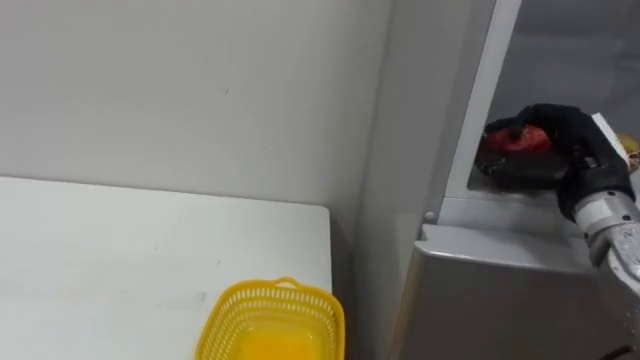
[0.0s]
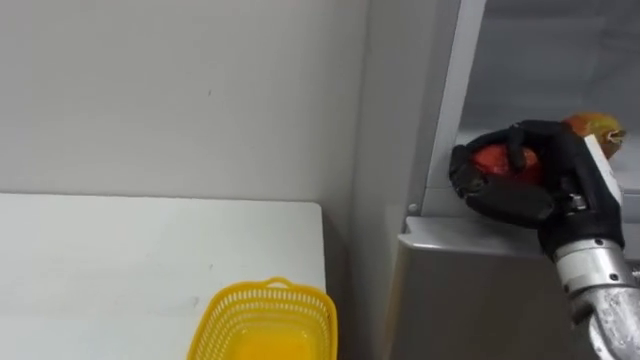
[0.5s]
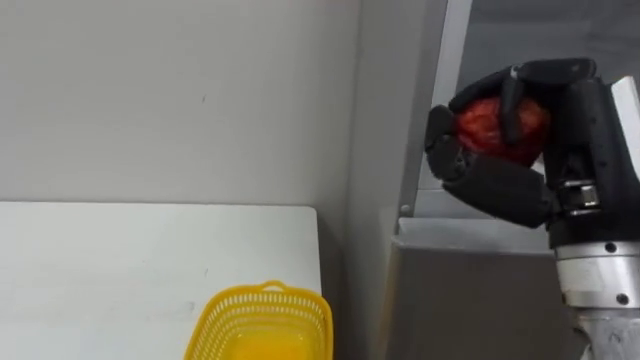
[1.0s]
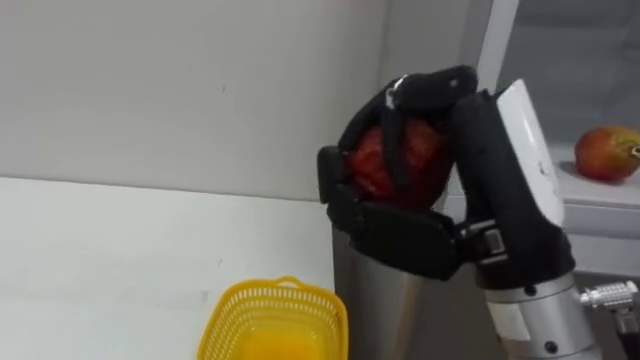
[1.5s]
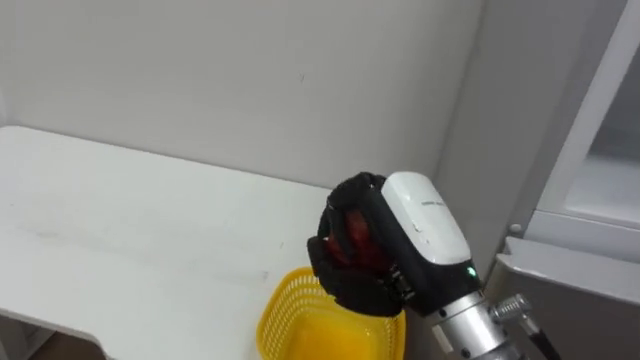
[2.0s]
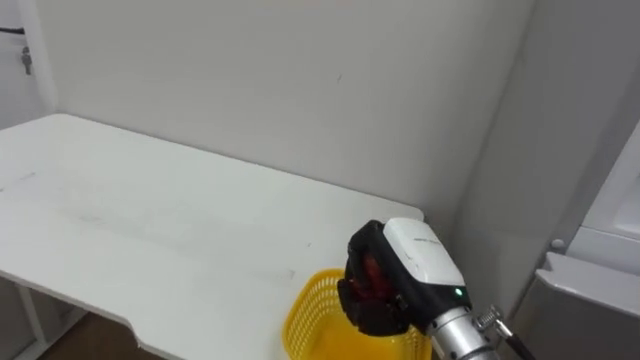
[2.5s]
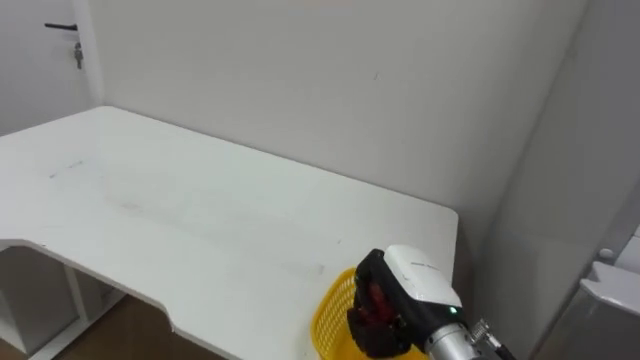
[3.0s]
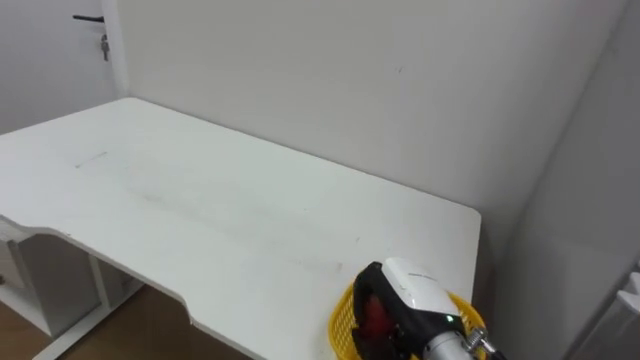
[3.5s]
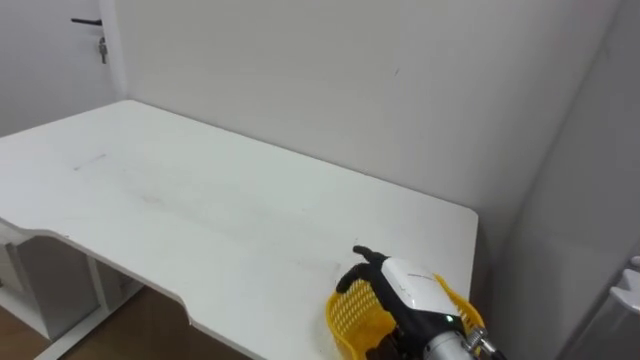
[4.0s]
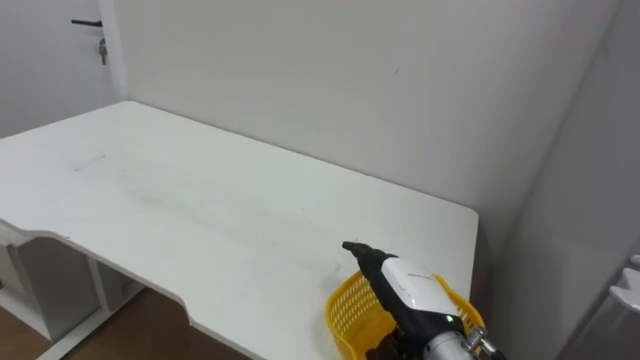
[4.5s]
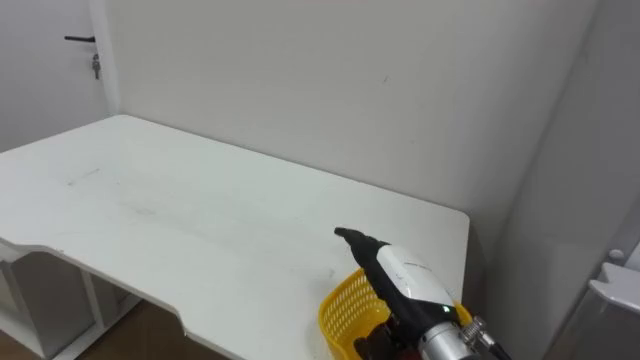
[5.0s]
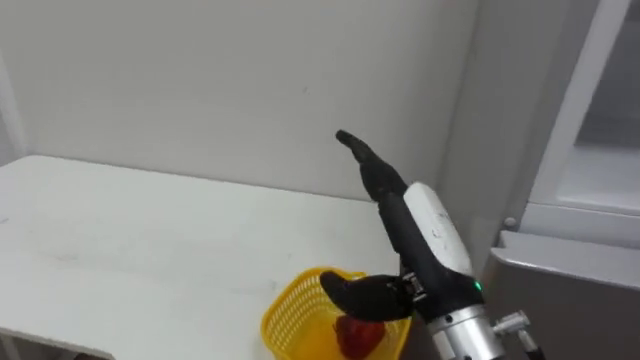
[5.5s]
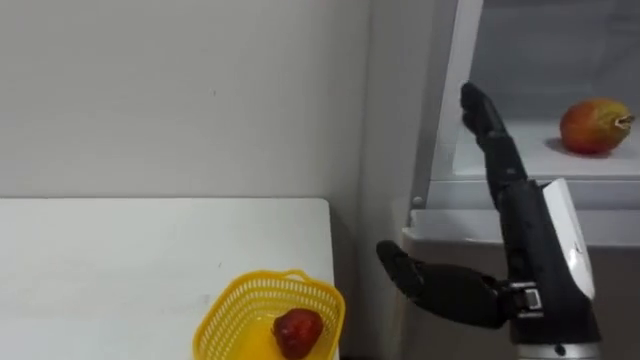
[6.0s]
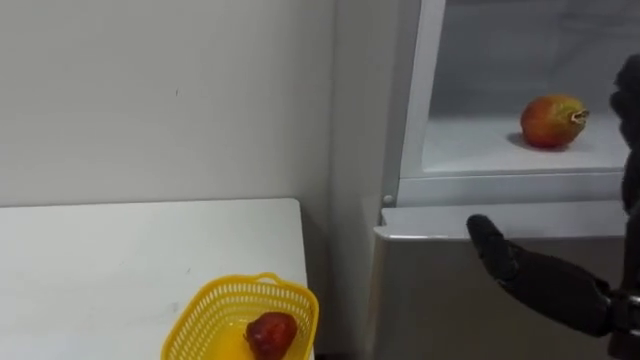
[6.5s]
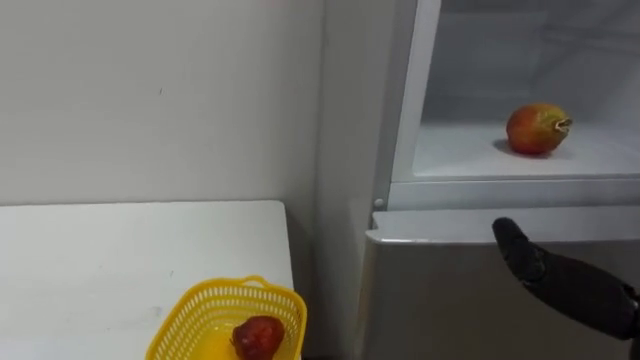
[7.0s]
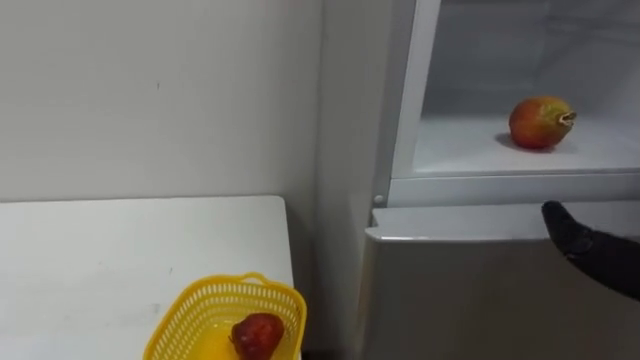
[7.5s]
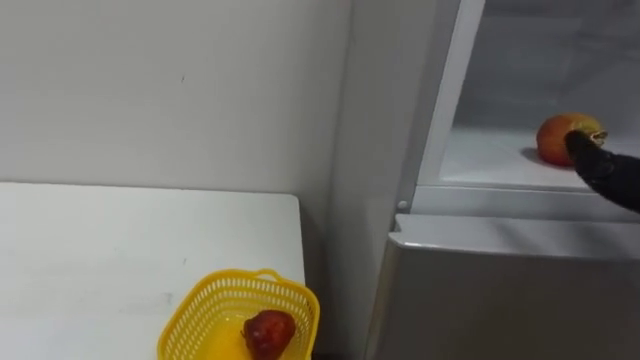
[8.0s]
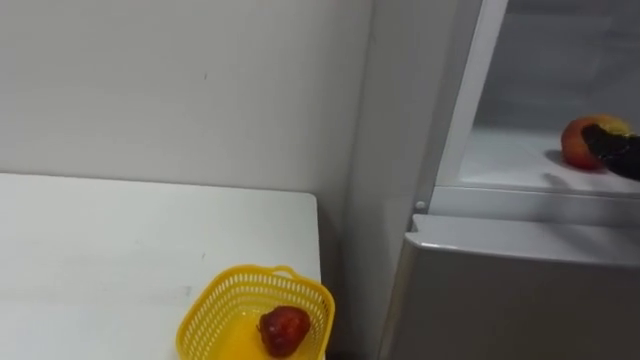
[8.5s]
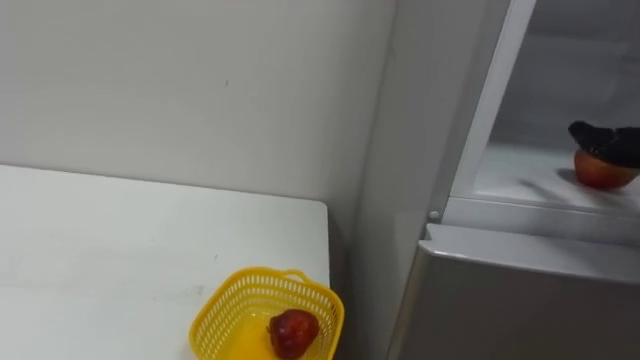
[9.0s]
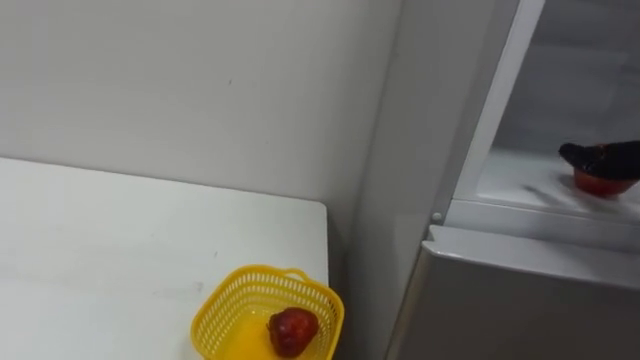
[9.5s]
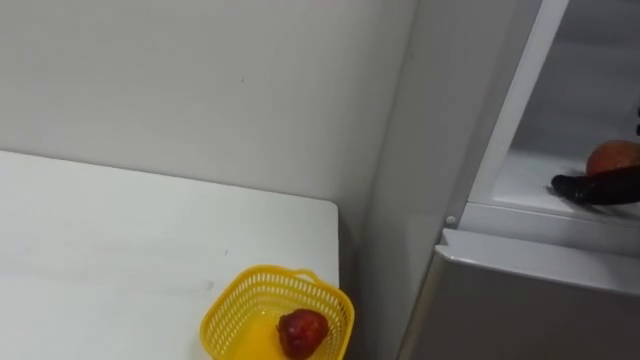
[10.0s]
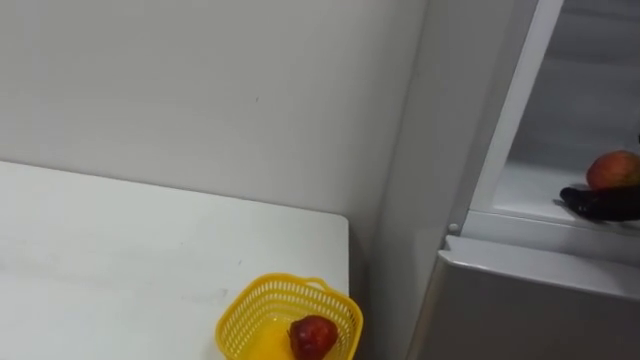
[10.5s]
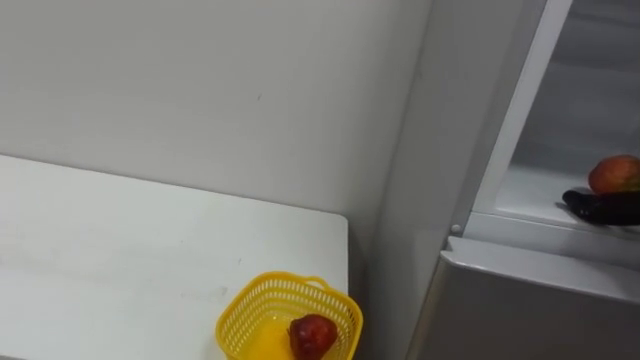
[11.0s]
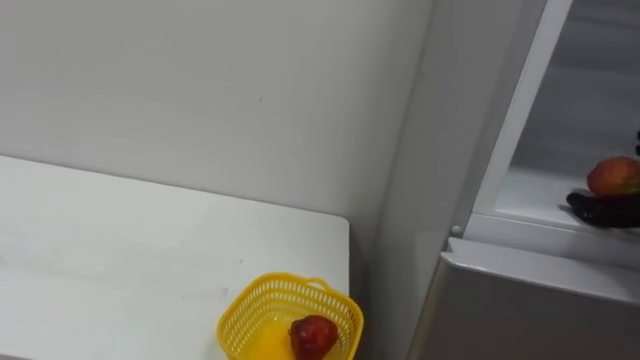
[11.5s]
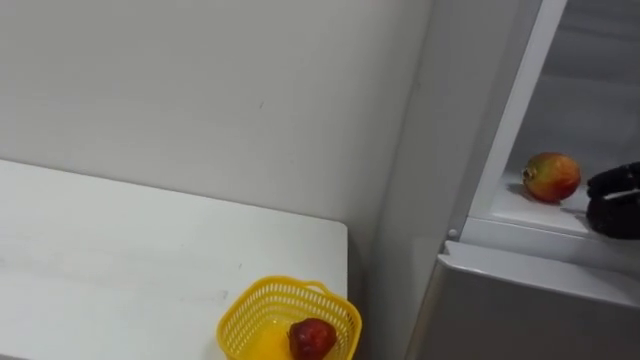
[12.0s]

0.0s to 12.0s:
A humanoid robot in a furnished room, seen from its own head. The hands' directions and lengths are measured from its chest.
Task of the whole recording: Open the refrigerator door, take out the apple and the pomegranate, place them in the fruit basket on the left, and close the refrigerator door.
0.0s to 2.0s: The right hand heads to the left and backward, covering some 20 cm.
2.0s to 4.0s: The right hand shifts about 15 cm downward and forward, and opens up.
4.0s to 6.0s: The right hand shifts about 20 cm upward and backward.

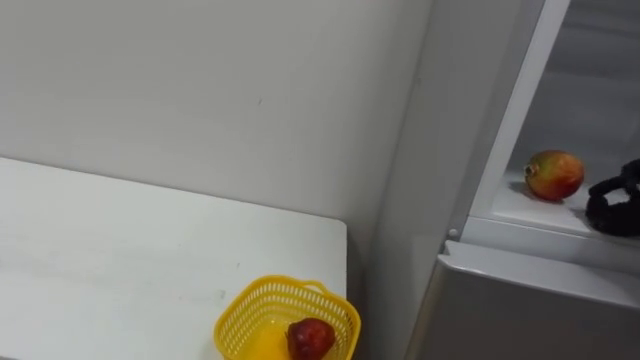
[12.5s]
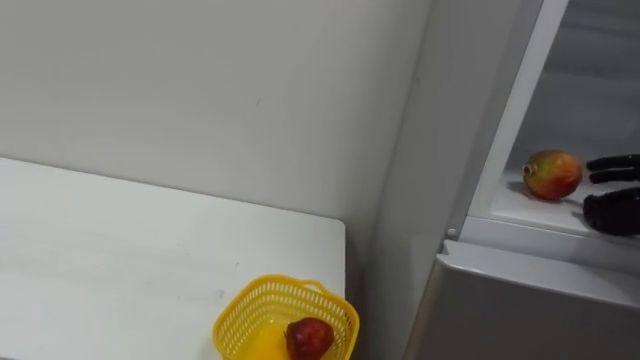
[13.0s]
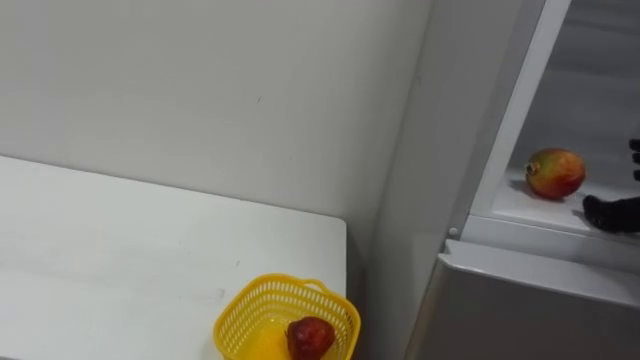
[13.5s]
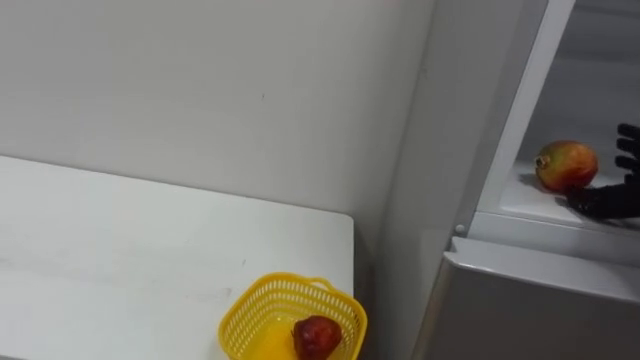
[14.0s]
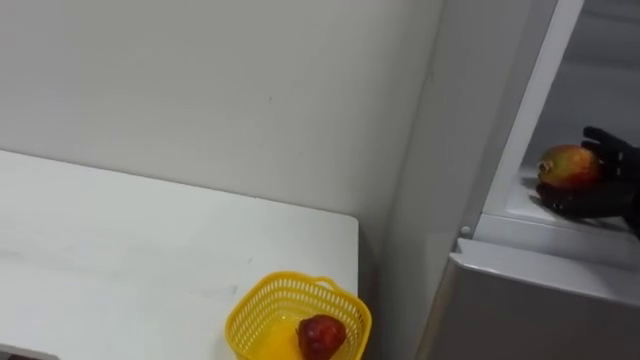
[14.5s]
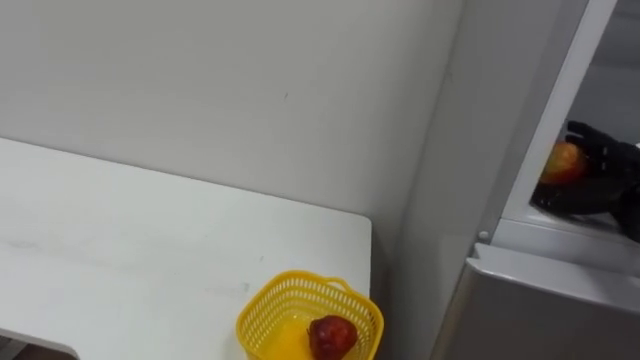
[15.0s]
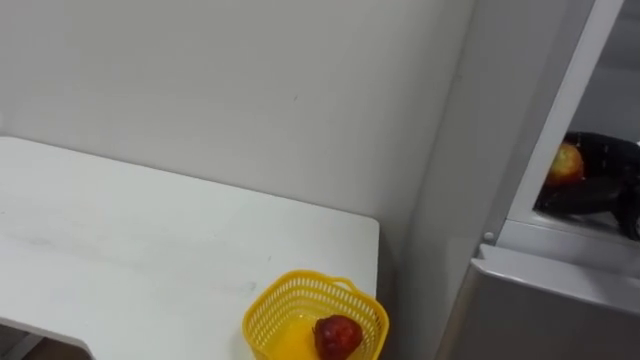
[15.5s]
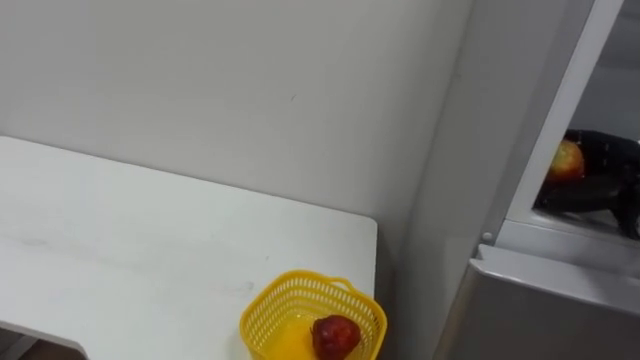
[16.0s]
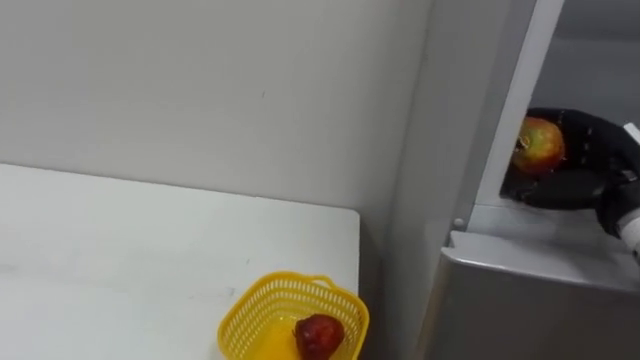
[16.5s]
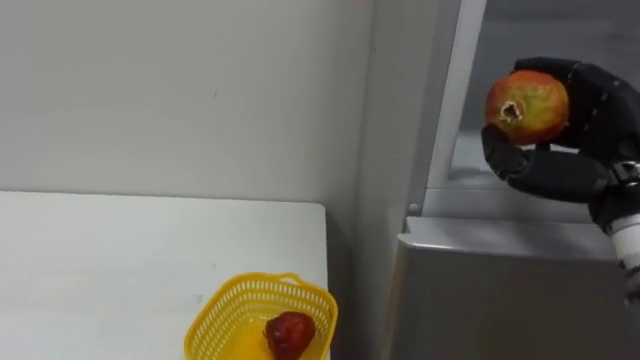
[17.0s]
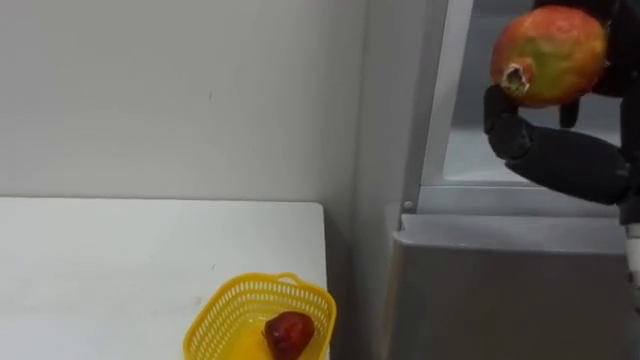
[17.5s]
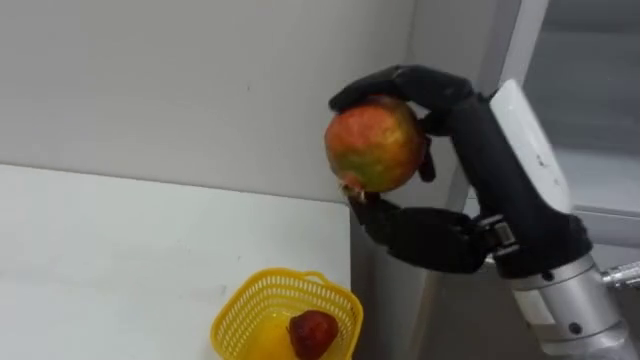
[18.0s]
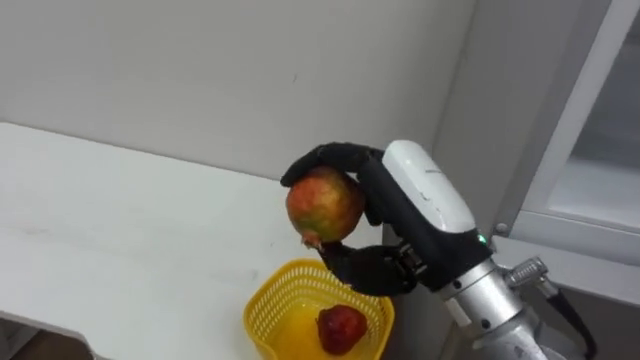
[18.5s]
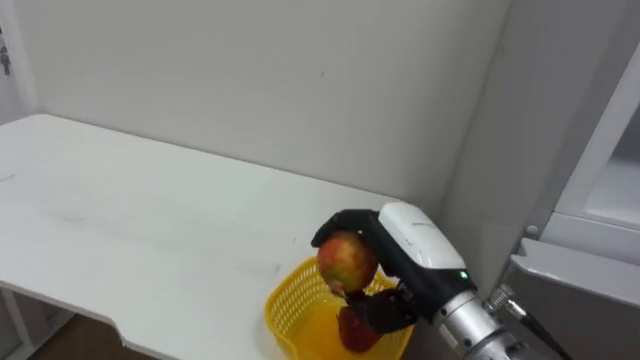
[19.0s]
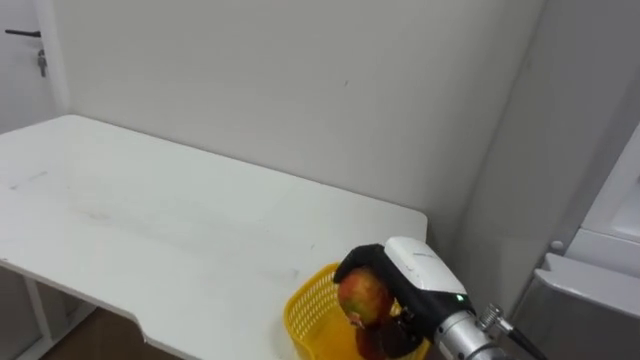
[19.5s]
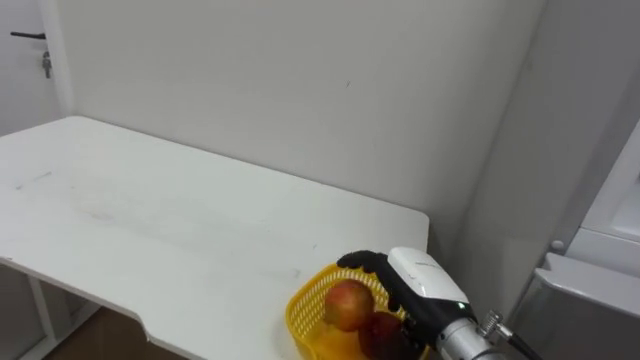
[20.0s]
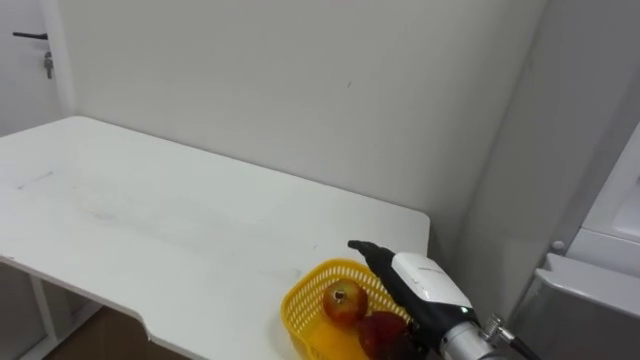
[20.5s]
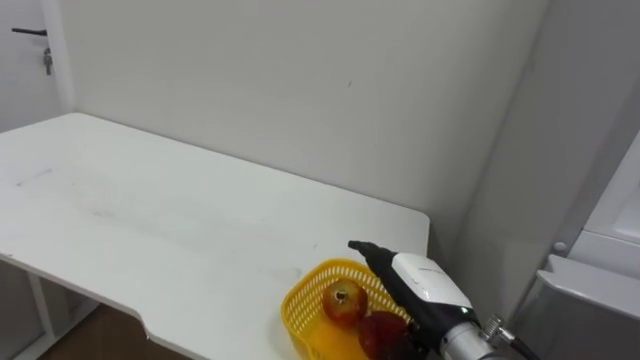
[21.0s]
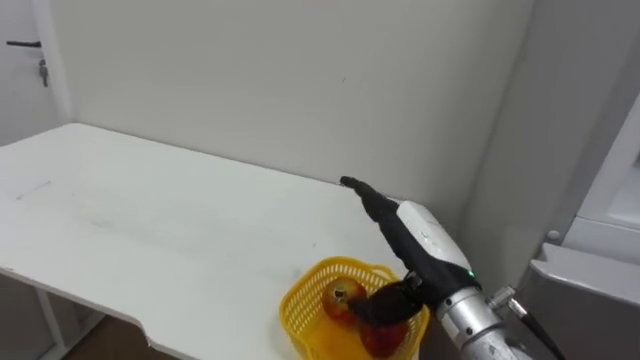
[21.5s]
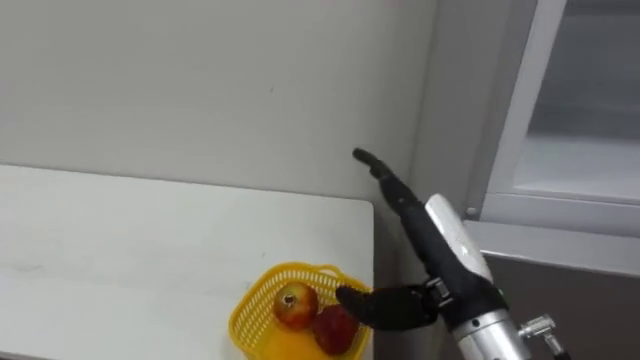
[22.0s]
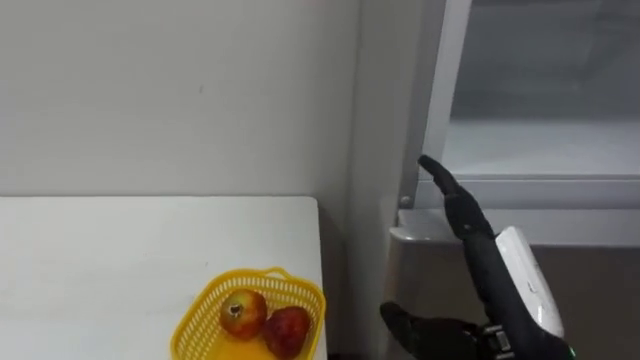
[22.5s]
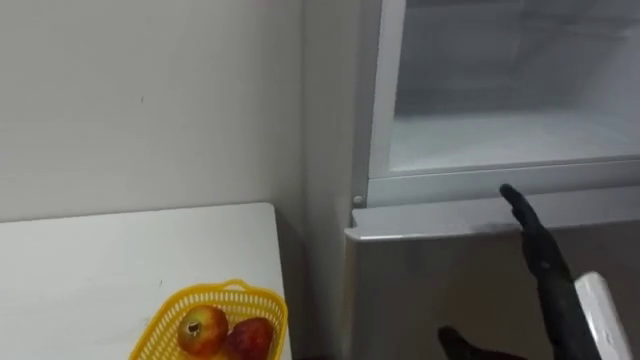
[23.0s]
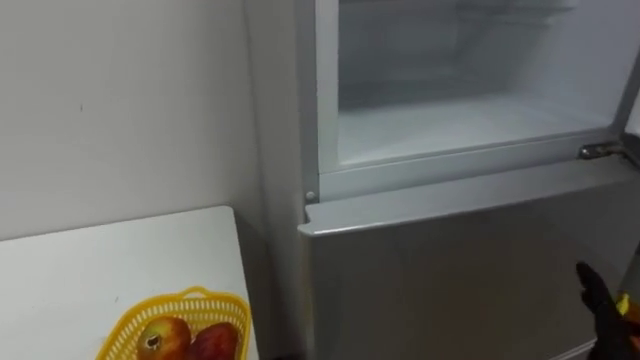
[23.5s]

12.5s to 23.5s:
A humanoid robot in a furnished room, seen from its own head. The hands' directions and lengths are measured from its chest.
Task of the whole recording: Open the refrigerator door, take out the apple and the pomegranate, place them in the fruit basket on the left, and close the refrigerator door.
14.5s to 16.0s: The right hand closes up.
18.0s to 20.0s: The right hand moves downward and forward, some 25 cm.
20.0s to 21.5s: The right hand goes roughly 5 cm upward, and opens up.
